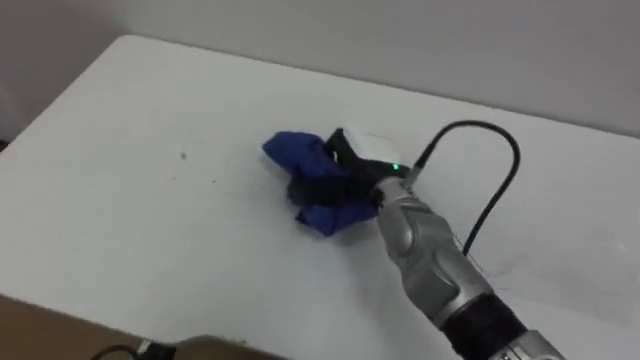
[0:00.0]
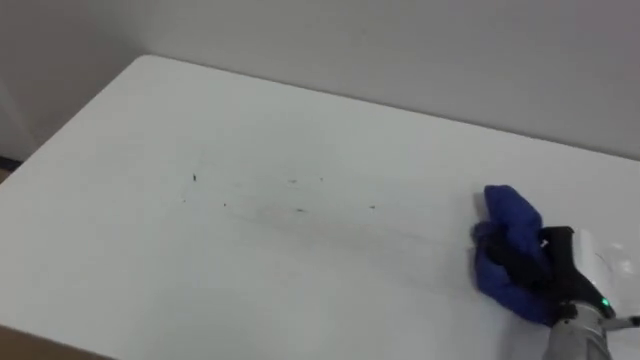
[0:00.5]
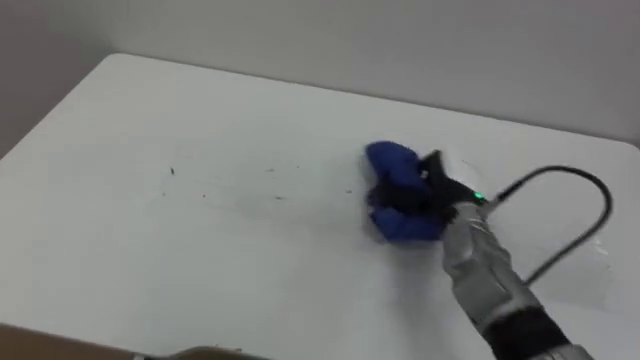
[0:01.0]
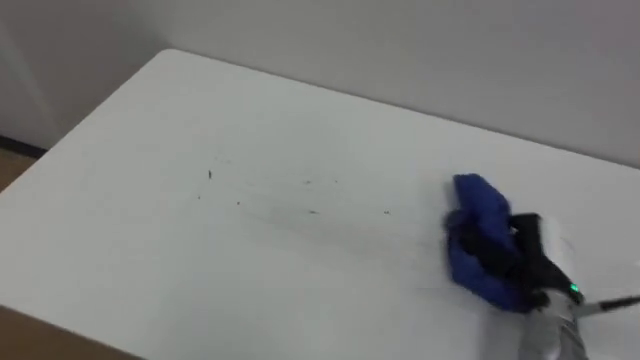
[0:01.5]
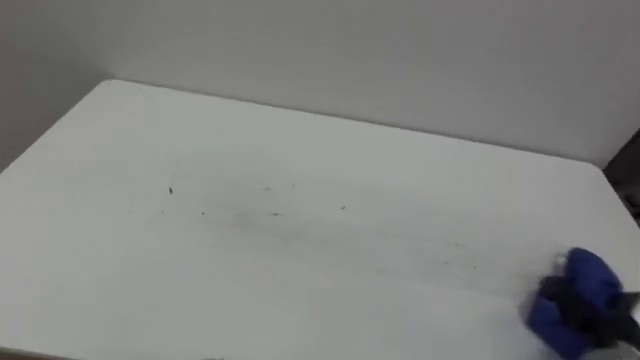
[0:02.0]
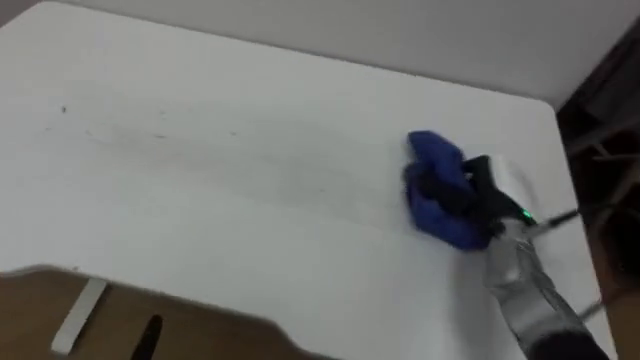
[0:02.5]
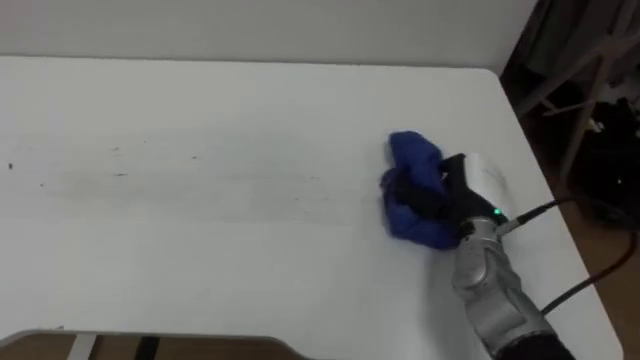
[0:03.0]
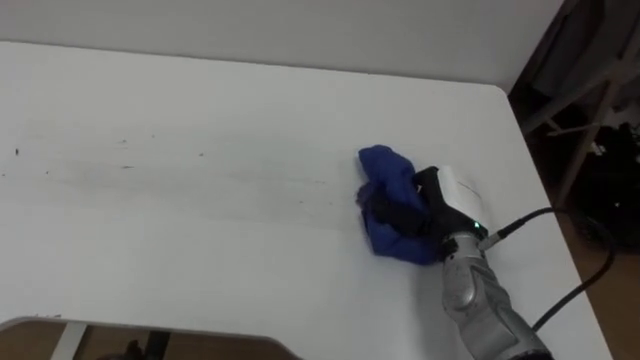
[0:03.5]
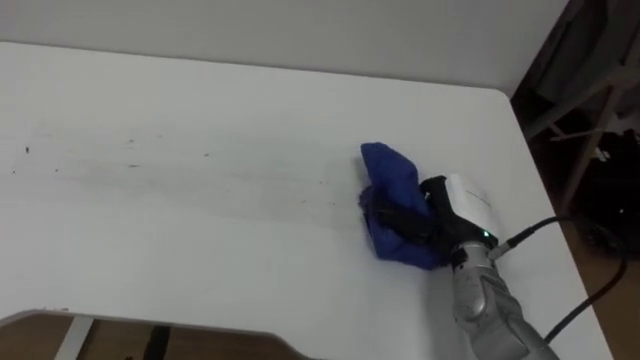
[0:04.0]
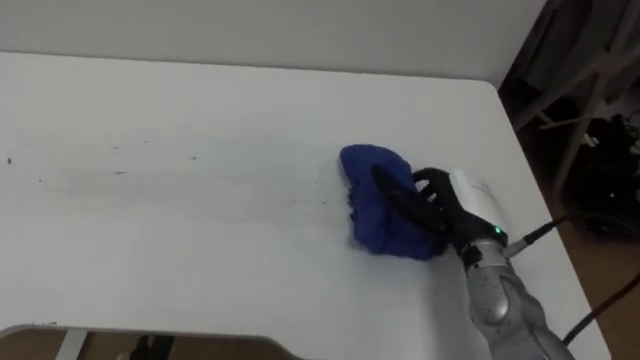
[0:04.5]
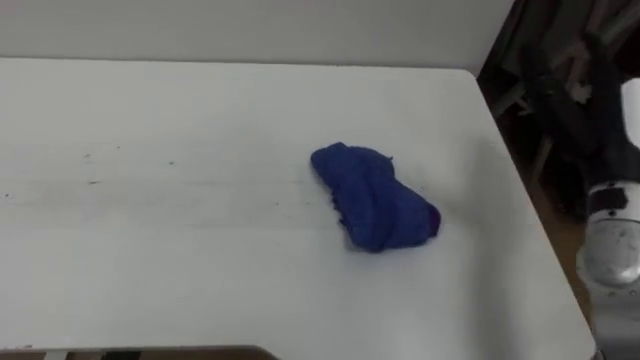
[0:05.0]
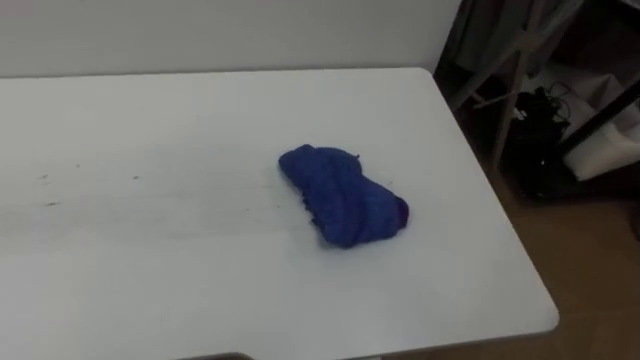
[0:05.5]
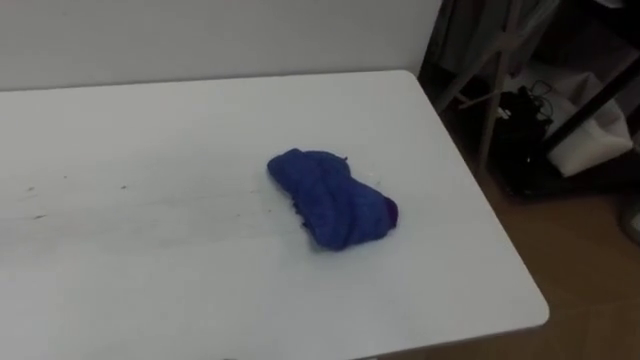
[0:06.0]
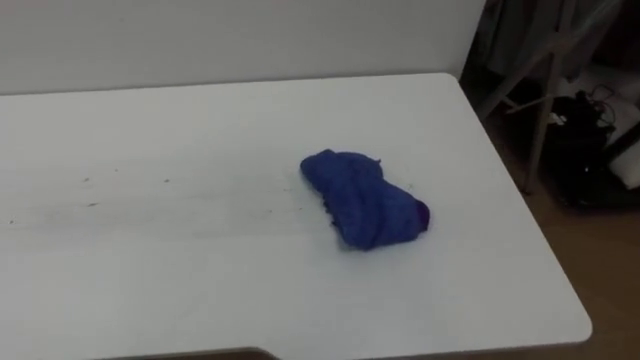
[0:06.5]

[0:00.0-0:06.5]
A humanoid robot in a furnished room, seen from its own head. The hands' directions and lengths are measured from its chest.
Task of the whole recording: Wipe the blue pen marks off the table with the rag.
0:02.0 to 0:04.5: The right hand goes approximately 25 cm to the left, forward and upward, and opens.
